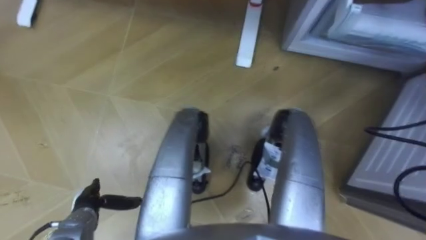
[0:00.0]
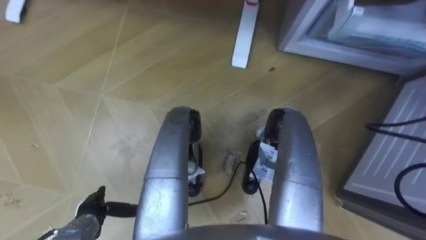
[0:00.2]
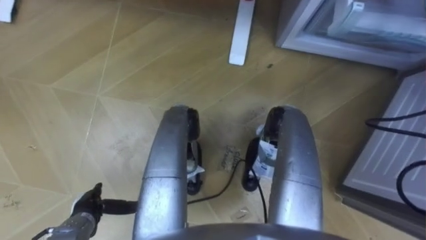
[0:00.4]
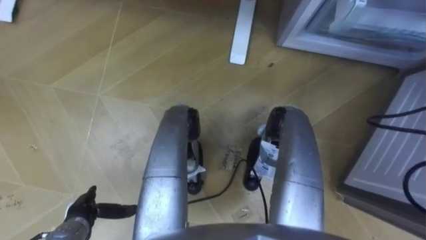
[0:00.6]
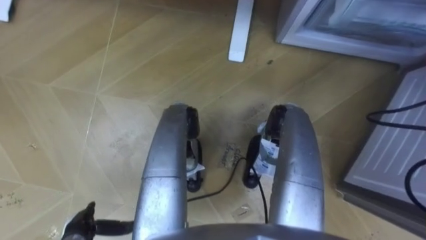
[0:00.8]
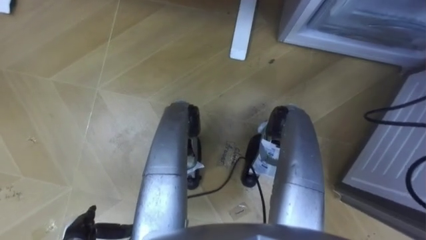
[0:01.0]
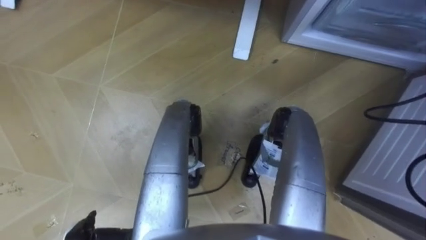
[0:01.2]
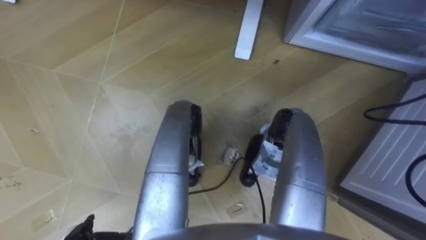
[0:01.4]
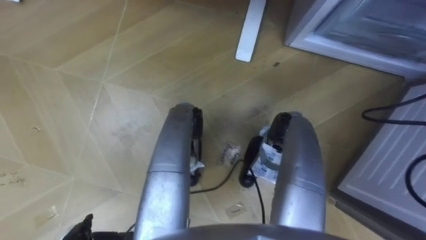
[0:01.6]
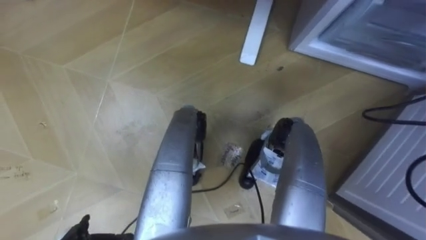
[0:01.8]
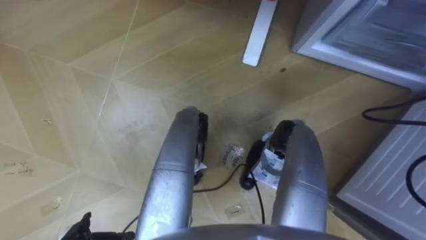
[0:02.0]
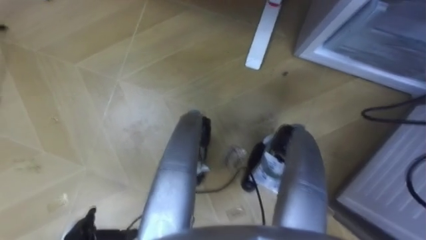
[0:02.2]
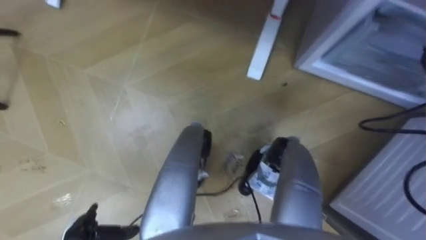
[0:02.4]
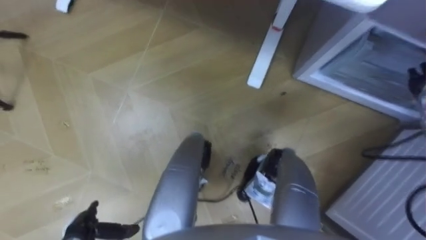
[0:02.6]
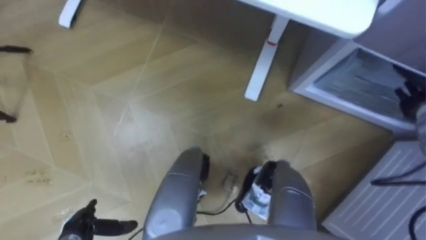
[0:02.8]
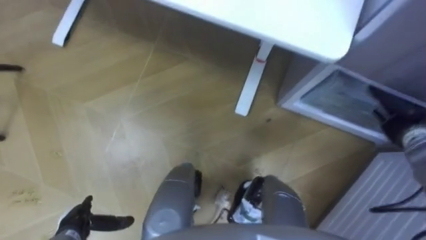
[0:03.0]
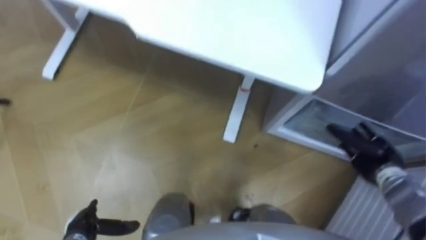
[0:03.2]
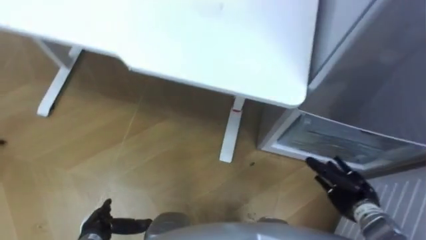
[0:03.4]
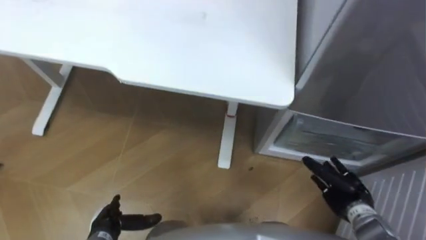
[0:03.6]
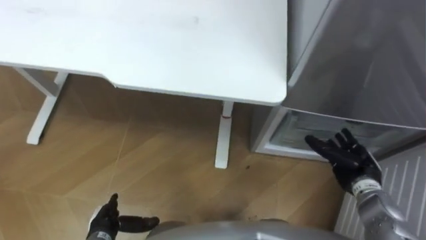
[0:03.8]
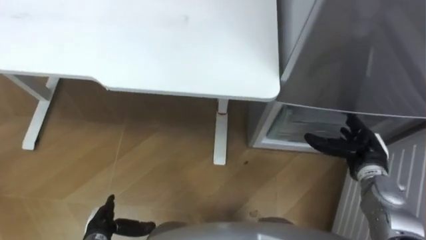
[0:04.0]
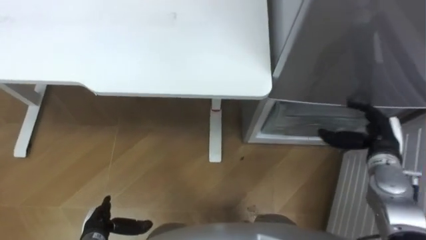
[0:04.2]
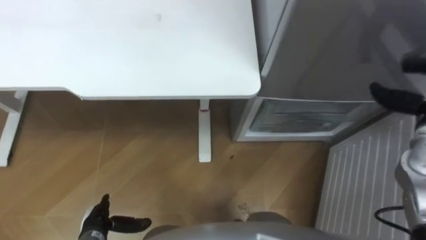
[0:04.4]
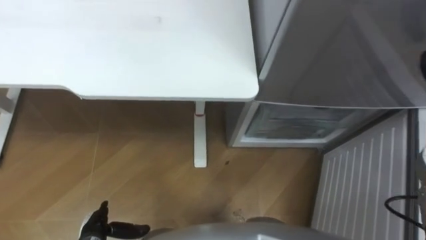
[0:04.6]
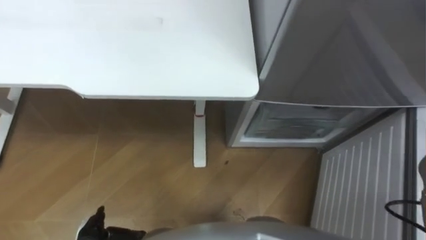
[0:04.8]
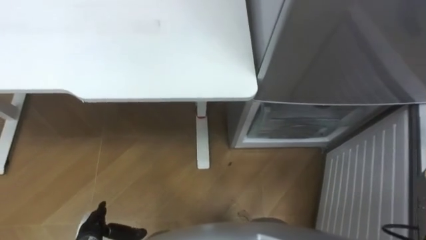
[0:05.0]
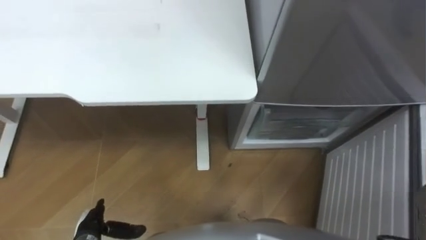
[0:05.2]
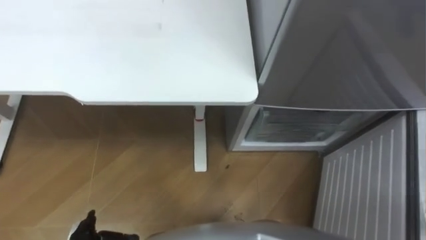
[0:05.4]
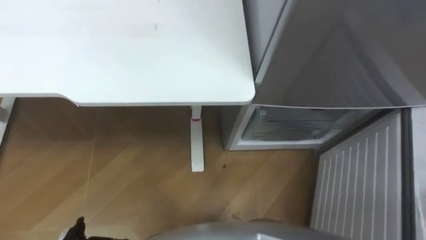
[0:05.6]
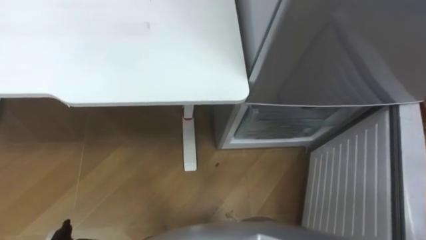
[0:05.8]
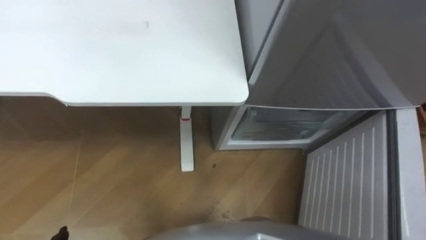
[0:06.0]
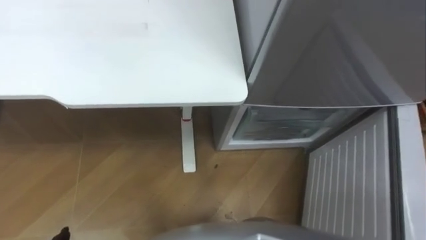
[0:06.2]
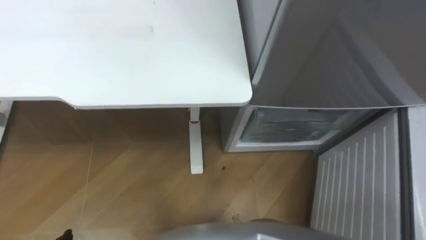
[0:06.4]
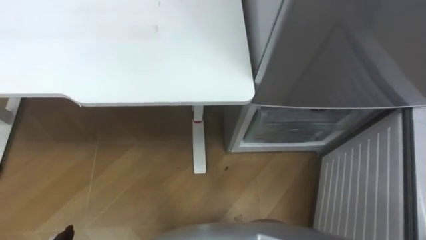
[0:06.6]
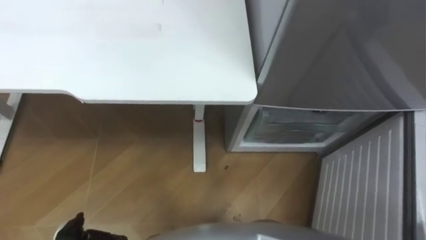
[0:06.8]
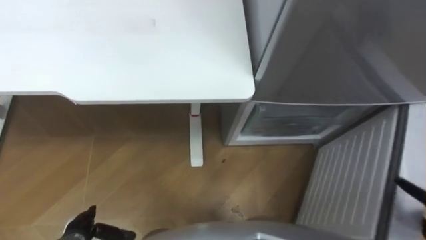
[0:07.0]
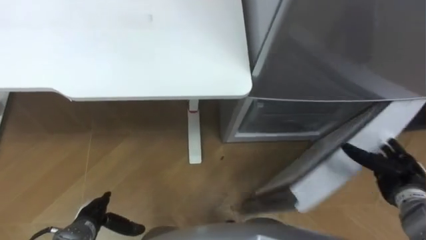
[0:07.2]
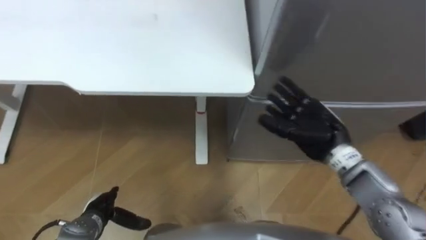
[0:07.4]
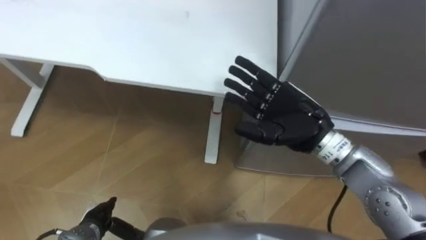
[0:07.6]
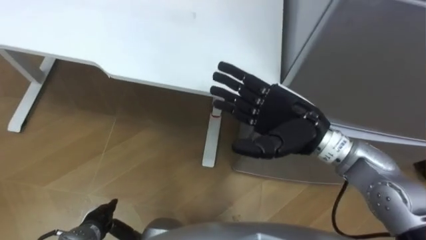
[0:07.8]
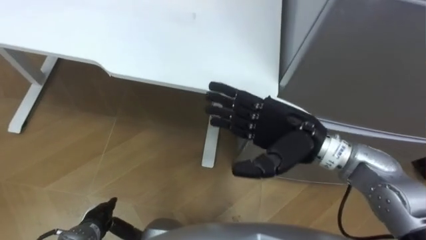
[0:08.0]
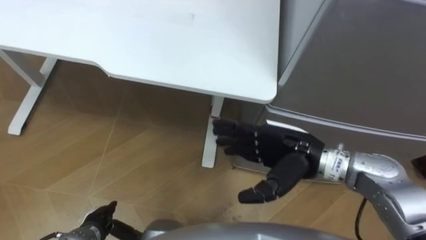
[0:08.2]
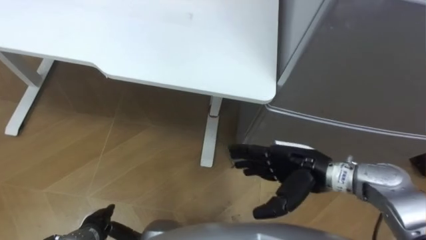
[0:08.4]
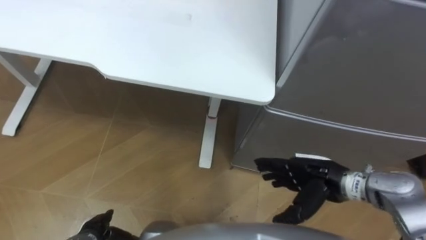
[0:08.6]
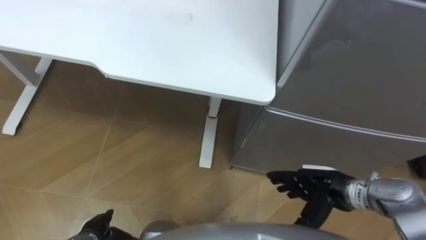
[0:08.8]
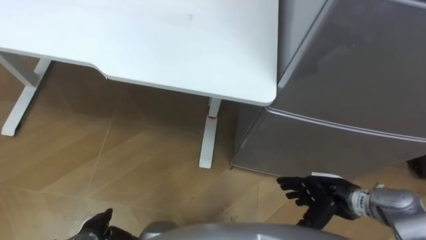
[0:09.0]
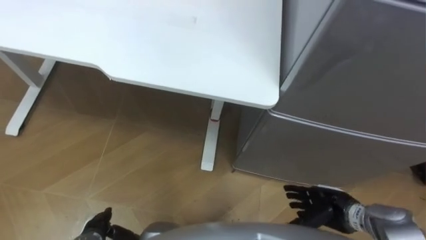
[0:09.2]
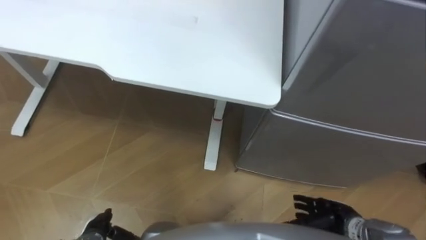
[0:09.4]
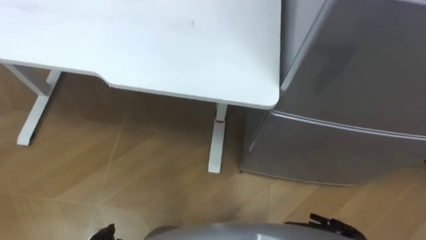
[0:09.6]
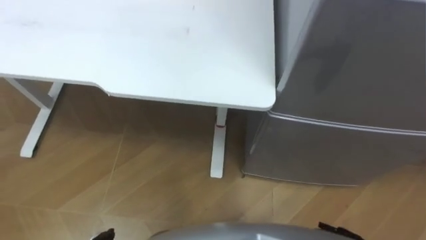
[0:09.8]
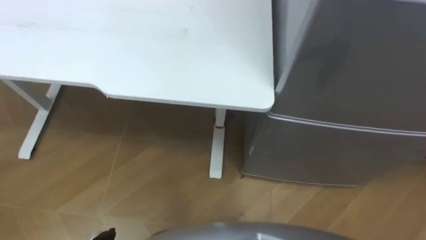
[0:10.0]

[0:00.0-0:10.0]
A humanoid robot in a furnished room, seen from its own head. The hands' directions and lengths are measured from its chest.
Task of the whole recording: Place the drink on the table on the bottom shelf of the refrigerator, then close the drawer and the refrigerator door.
0:02.8 to 0:04.2: The right hand goes about 10 cm to the left and backward.
0:07.2 to 0:08.6: The right hand shifts roughly 15 cm to the left.

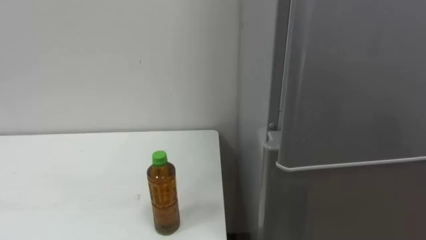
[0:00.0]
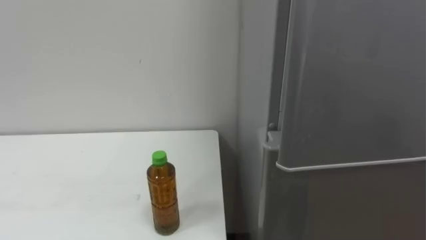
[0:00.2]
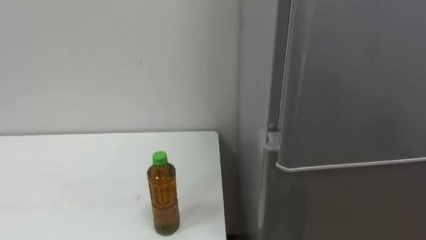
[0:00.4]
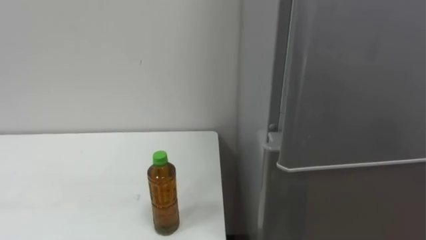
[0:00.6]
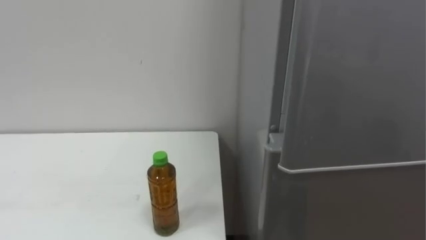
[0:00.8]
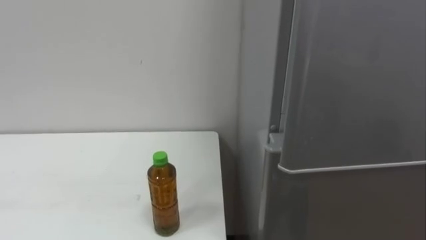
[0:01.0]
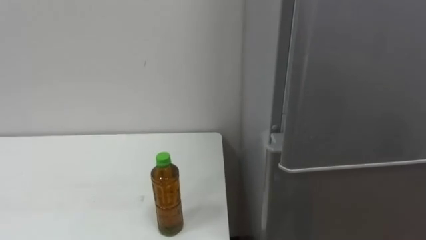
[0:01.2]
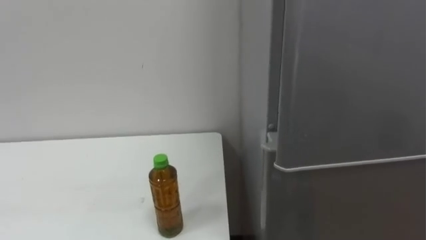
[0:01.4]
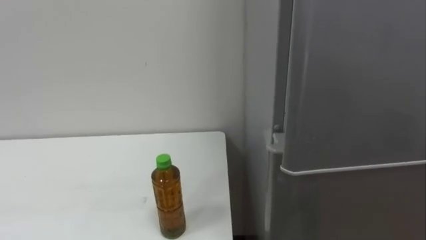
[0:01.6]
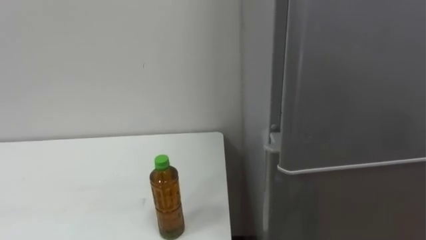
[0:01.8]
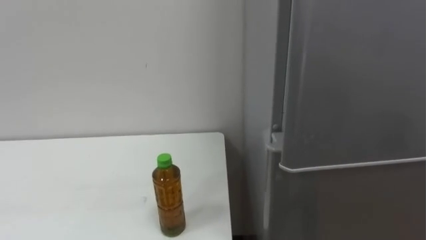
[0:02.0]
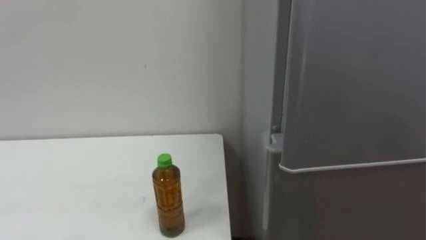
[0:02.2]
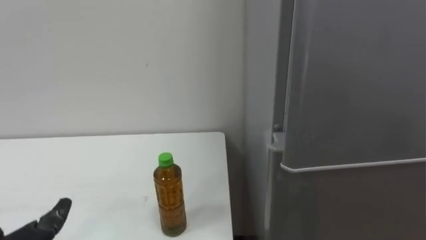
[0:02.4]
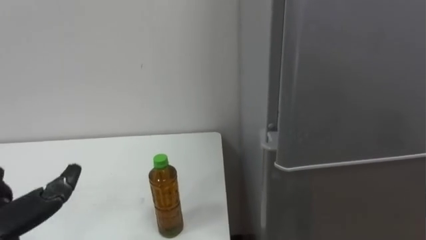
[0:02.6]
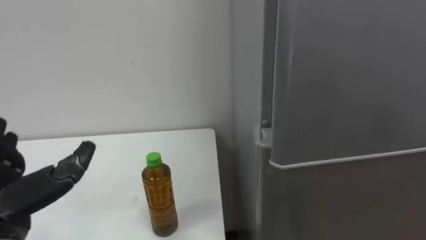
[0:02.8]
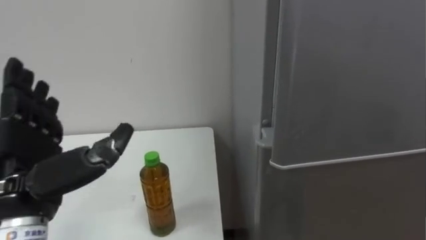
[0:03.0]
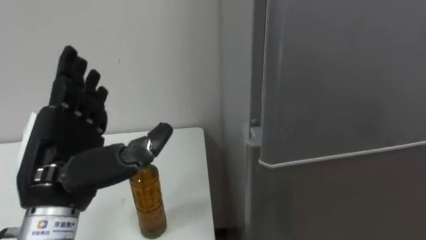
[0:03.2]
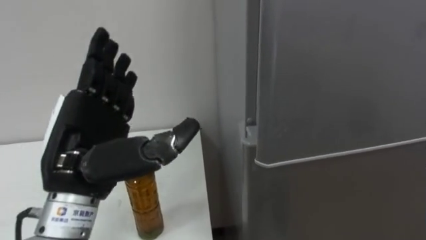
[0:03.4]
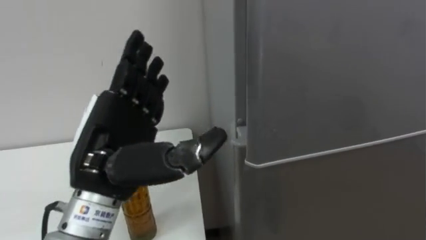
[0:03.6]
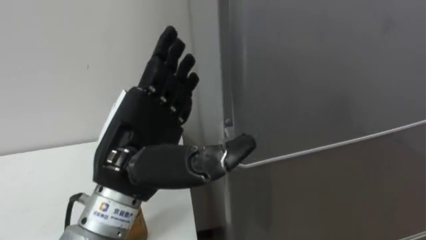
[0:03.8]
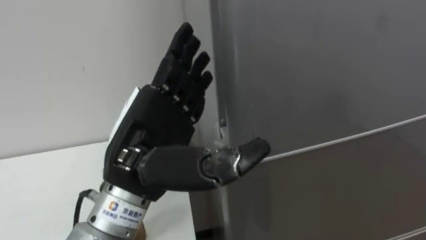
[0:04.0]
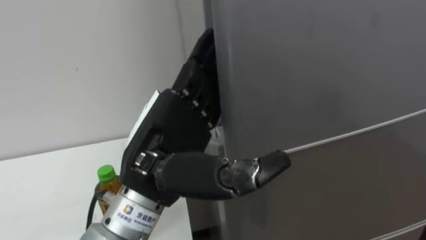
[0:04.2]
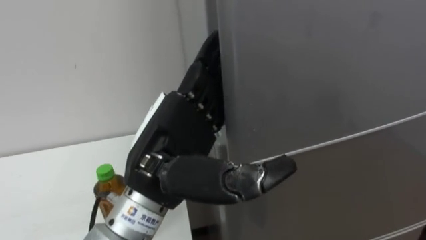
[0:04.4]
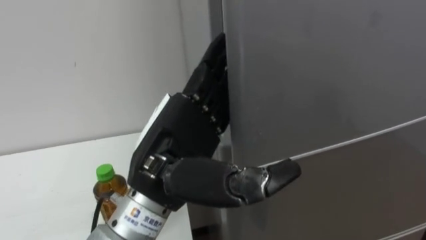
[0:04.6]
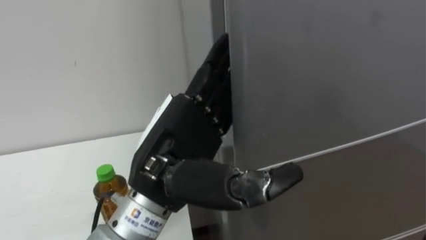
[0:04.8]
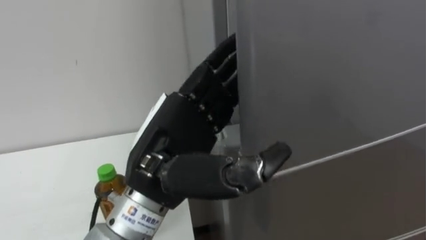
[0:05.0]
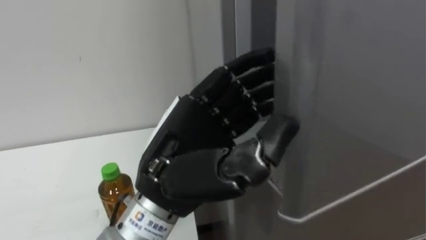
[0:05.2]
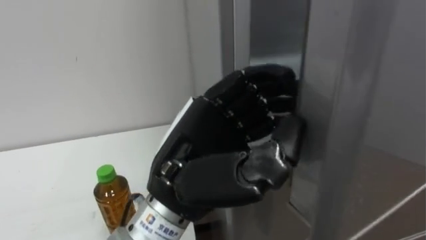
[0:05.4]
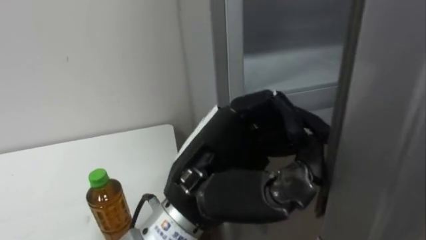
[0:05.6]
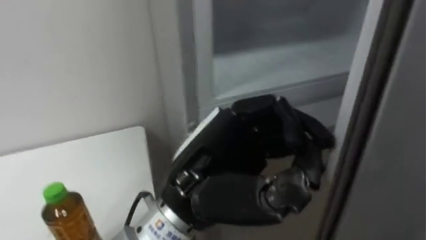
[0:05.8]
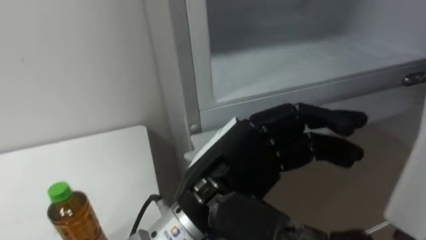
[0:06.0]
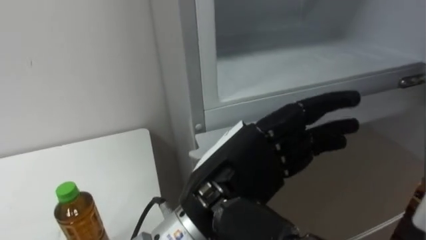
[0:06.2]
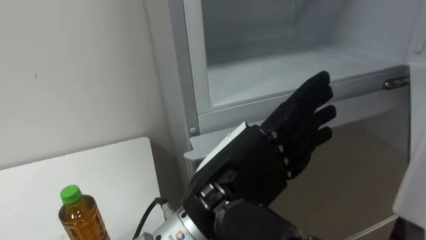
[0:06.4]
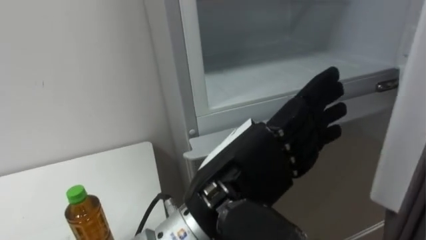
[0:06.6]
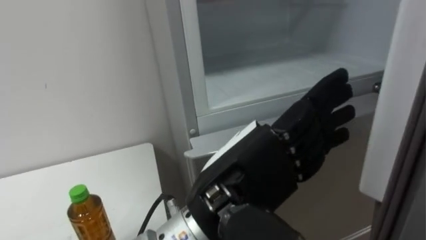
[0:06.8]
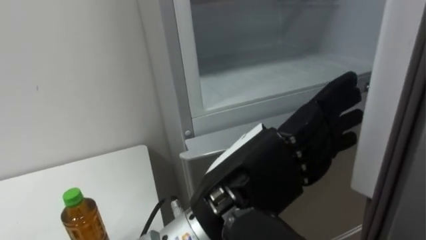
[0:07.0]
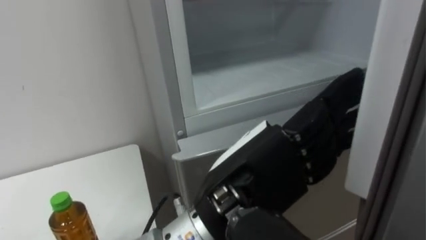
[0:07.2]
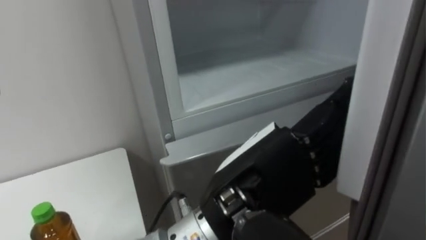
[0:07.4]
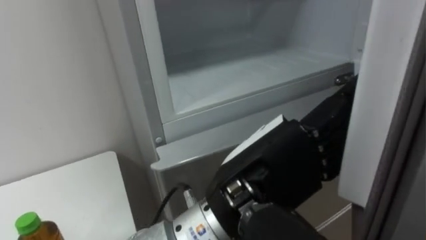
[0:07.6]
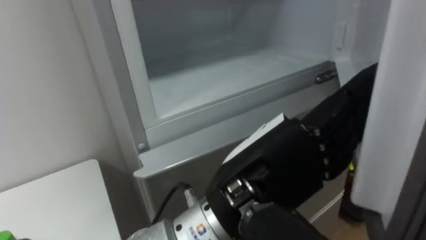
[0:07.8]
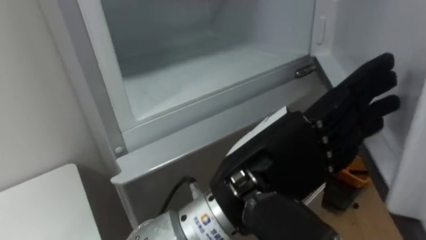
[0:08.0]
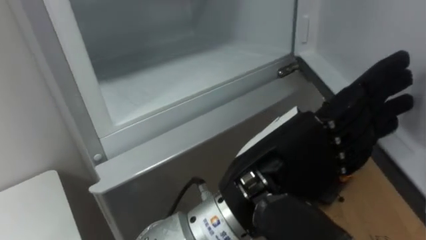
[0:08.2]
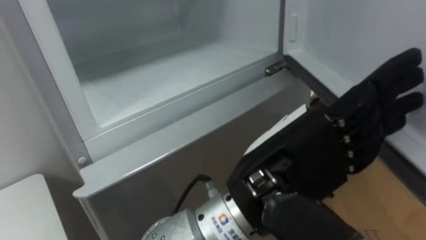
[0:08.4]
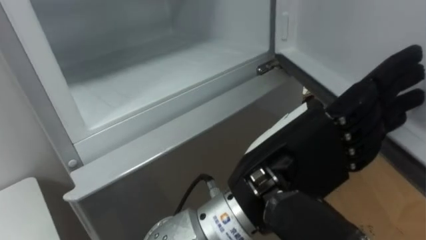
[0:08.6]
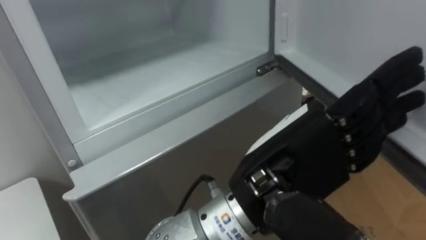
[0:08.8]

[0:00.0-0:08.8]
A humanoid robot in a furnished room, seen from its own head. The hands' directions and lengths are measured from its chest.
Task of the whole recording: Open the upper refrigerator door, put the drink from the table into the refrigerator, and then close the refrigerator door.
0:03.0 to 0:04.4: The left hand is displaced to the right by approximately 15 cm.
0:04.4 to 0:05.8: The left hand moves to the right, about 5 cm, and closes up.
0:05.8 to 0:07.4: The left hand opens.
